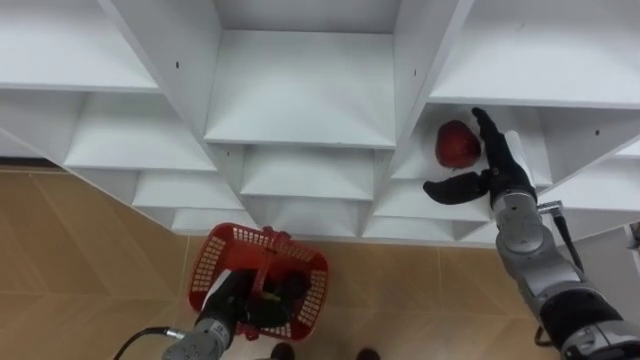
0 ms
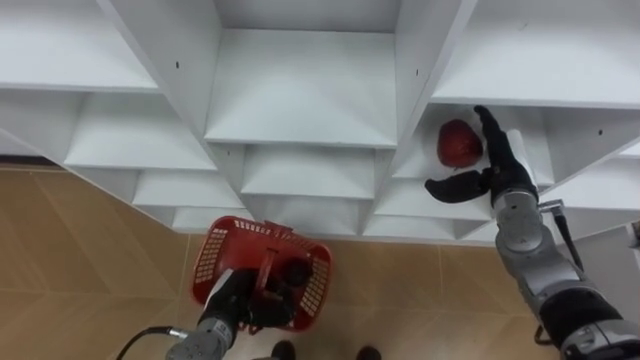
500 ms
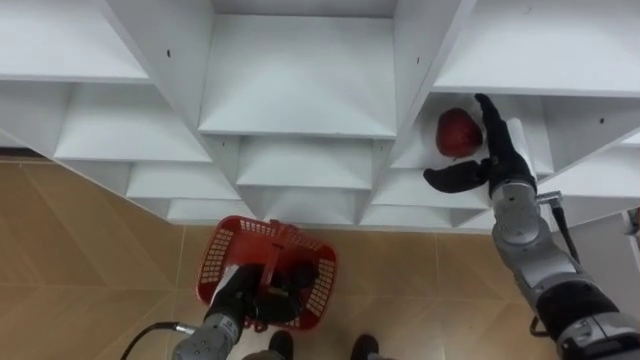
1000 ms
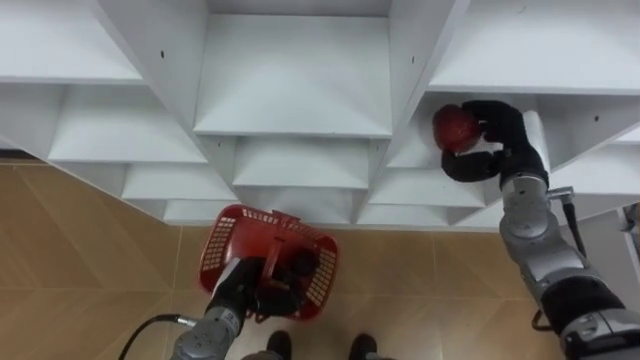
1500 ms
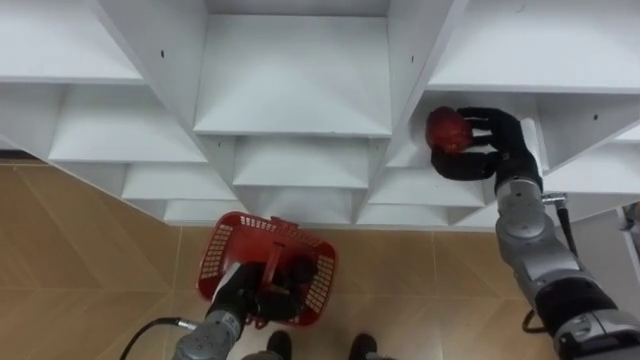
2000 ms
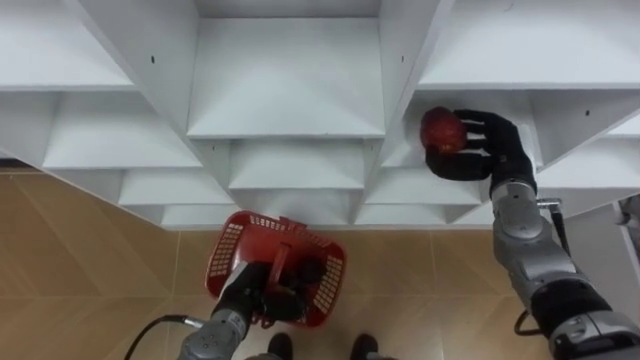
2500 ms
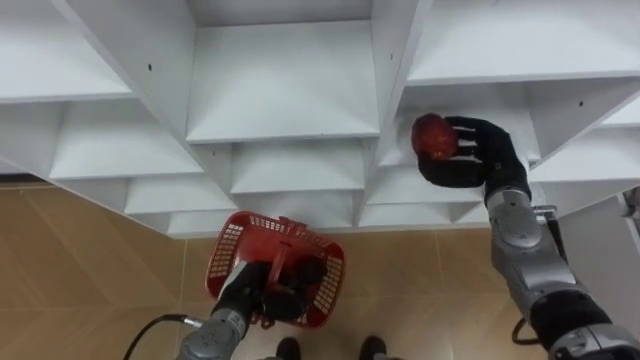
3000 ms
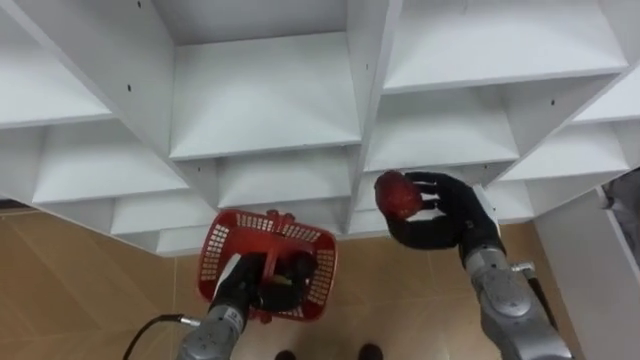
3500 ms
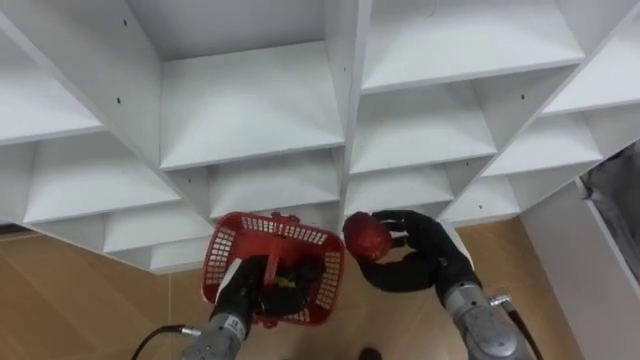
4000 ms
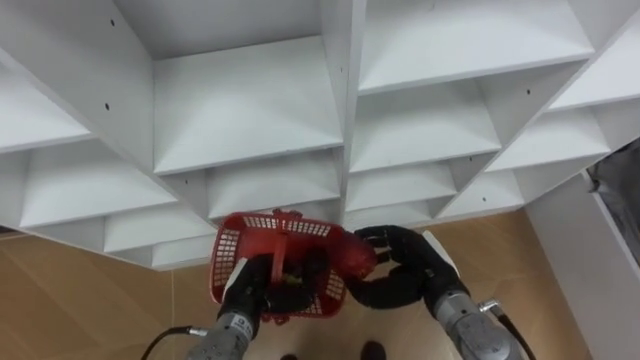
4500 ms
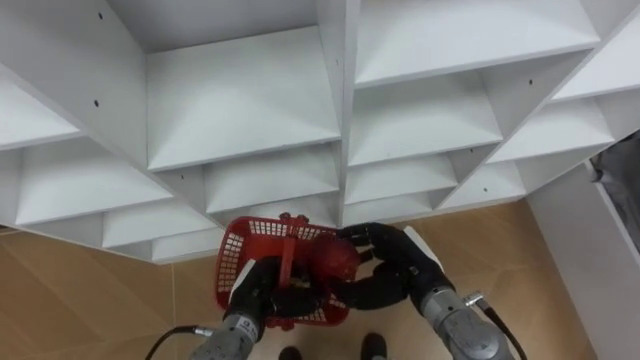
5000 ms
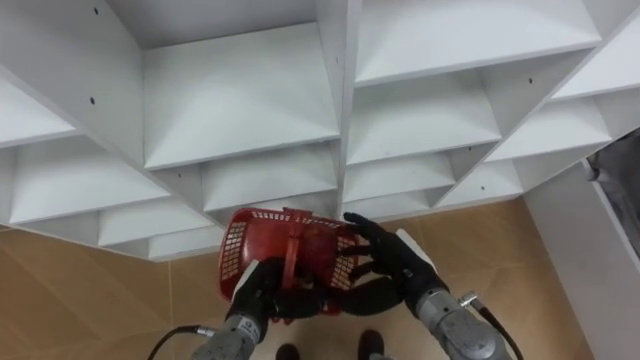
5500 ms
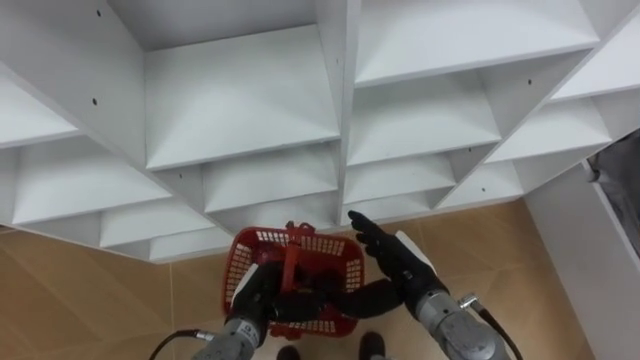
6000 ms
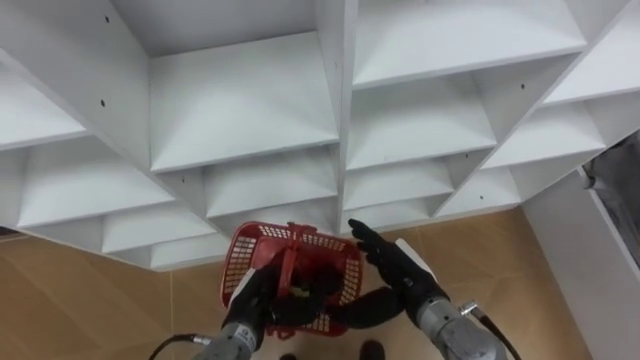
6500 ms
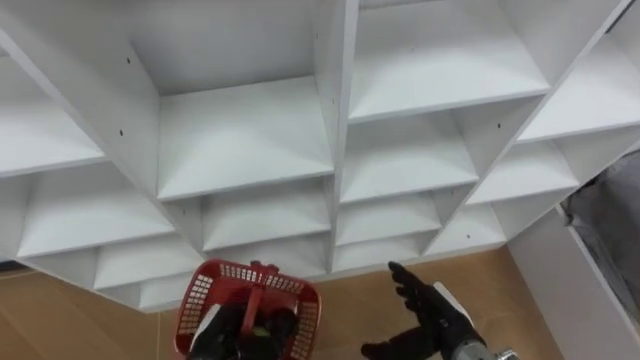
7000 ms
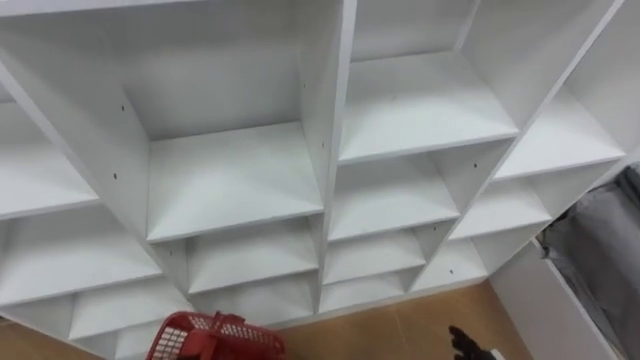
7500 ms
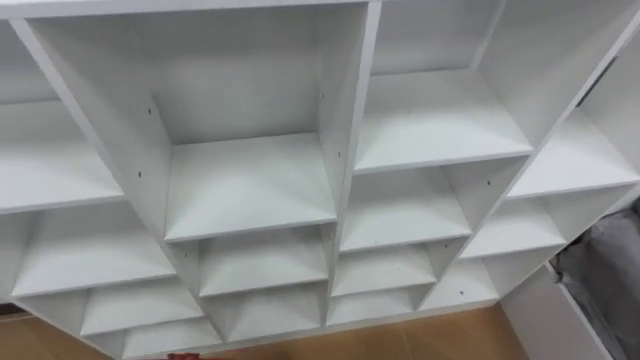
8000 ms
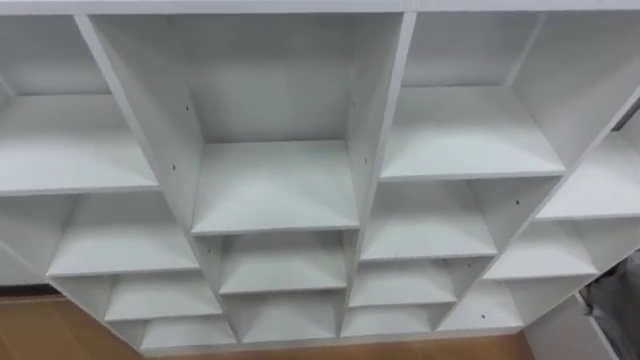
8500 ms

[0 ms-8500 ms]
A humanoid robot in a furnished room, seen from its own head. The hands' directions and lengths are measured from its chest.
Task of the whole recording: Hold the basket and collect the fruits from 3 different cells of the closet into it.
0 ms to 2000 ms: The right hand closes.
2000 ms to 4000 ms: The right hand goes about 15 cm backward, to the left and downward.
4000 ms to 6500 ms: The right hand travels to the left by some 5 cm, and opens up.

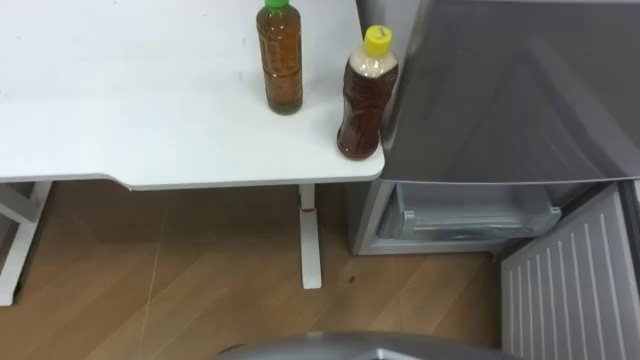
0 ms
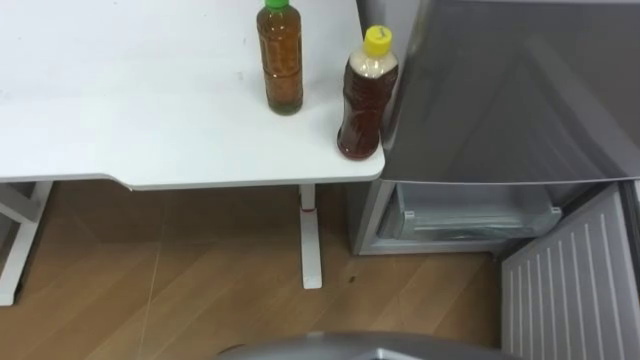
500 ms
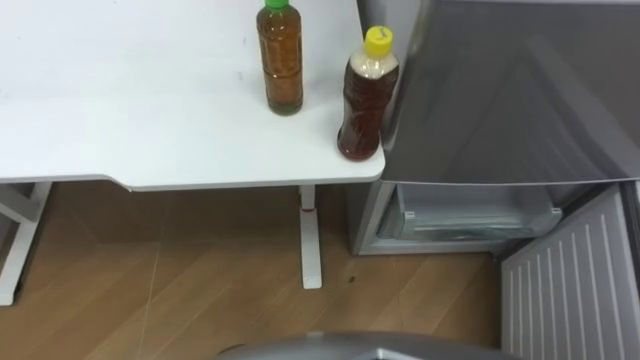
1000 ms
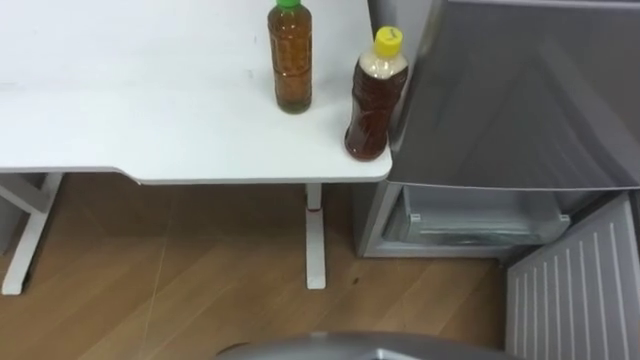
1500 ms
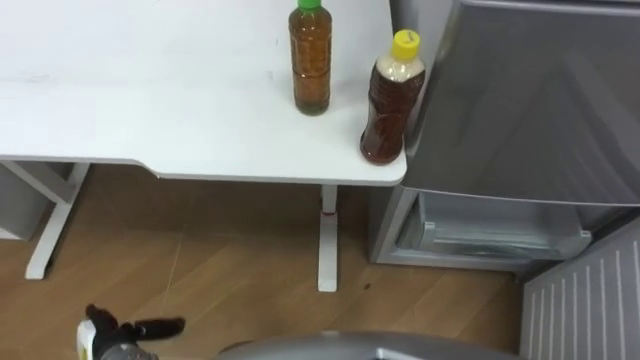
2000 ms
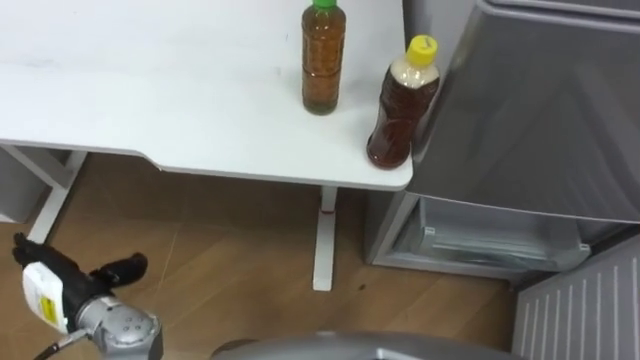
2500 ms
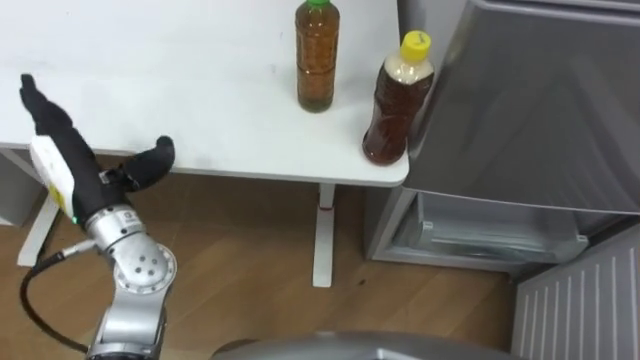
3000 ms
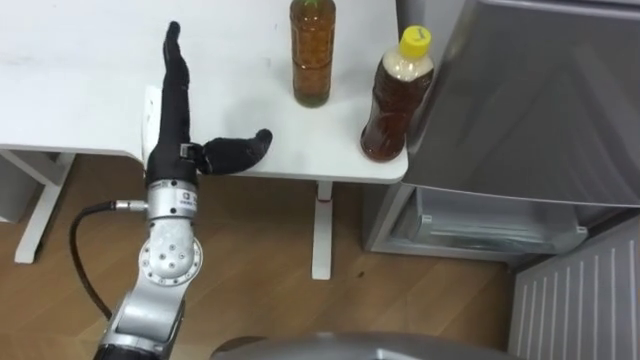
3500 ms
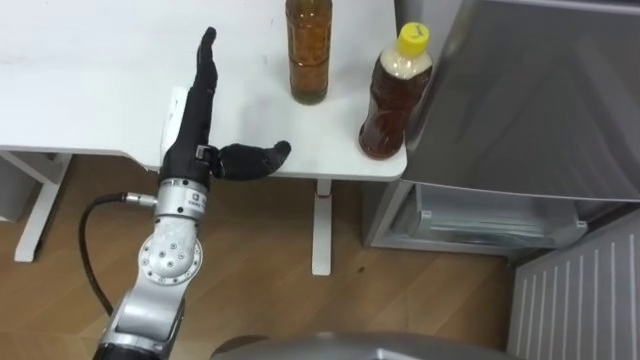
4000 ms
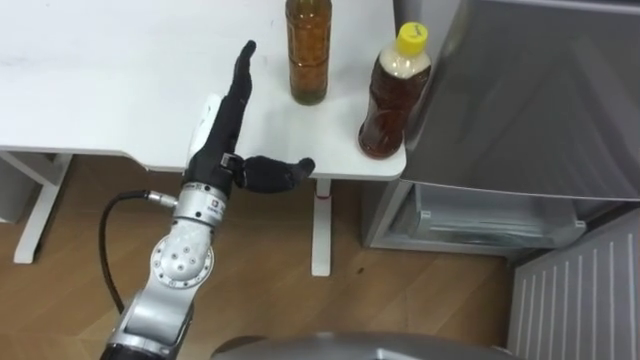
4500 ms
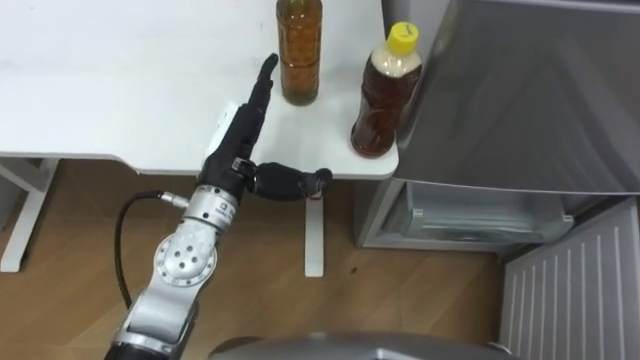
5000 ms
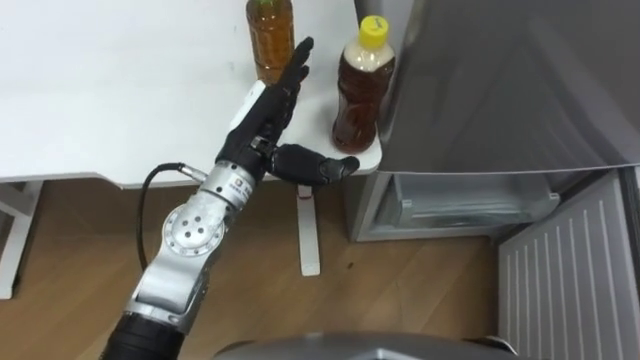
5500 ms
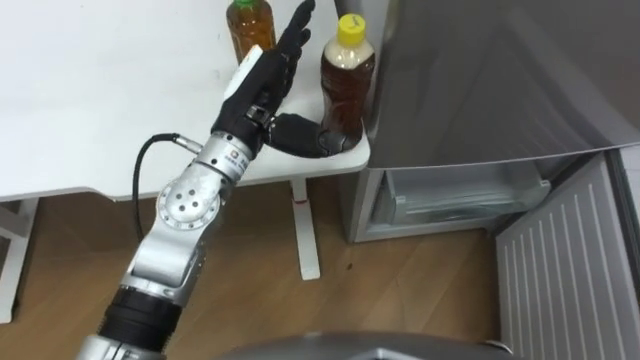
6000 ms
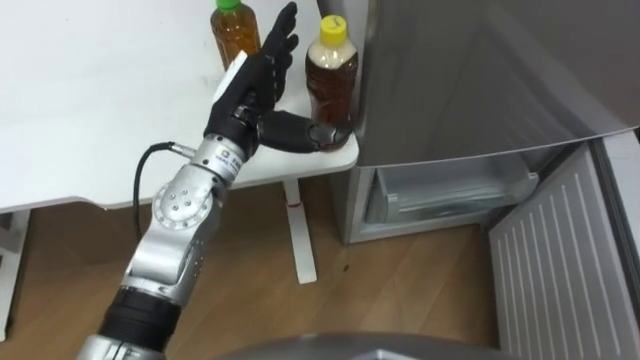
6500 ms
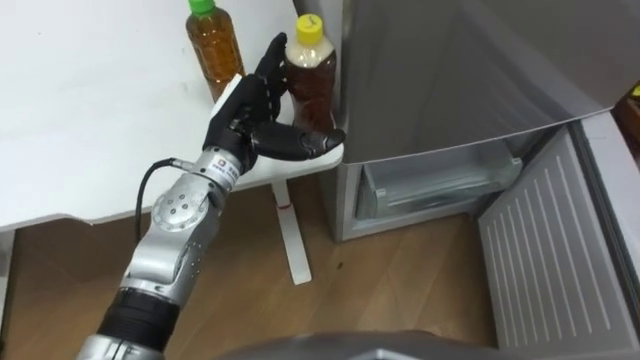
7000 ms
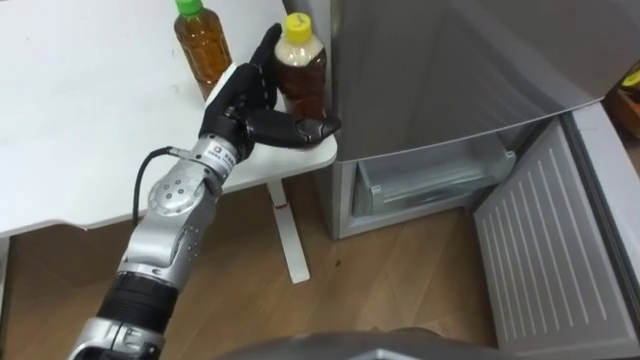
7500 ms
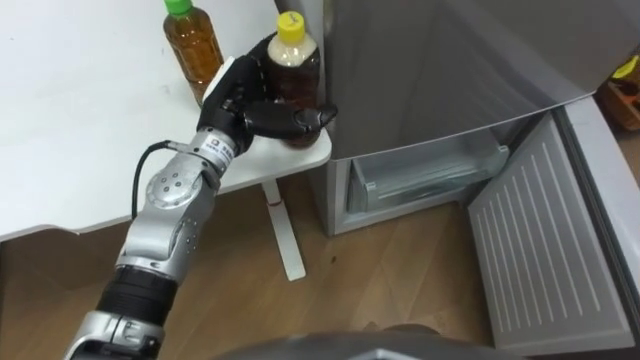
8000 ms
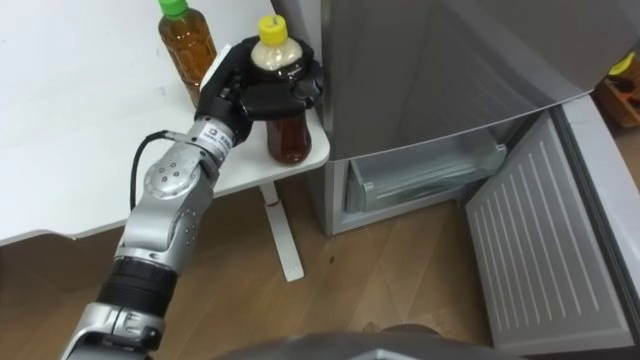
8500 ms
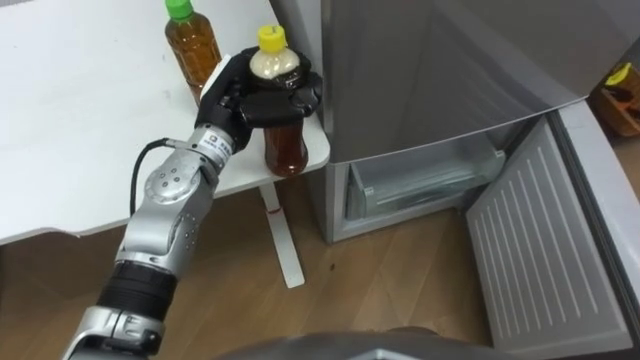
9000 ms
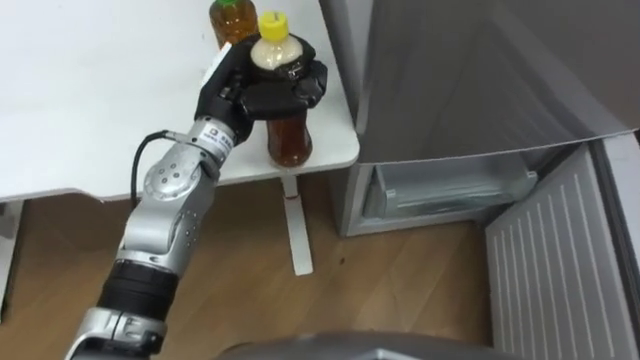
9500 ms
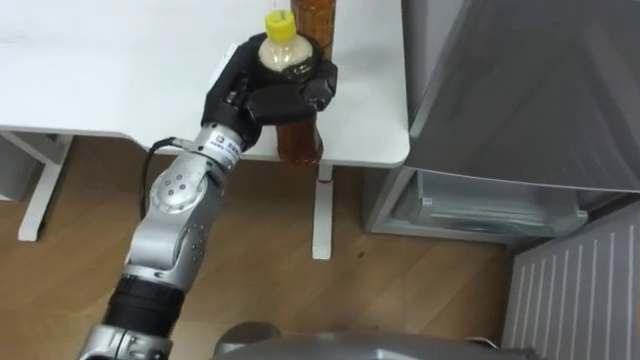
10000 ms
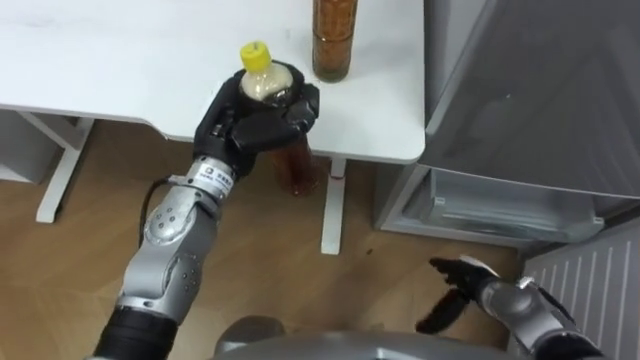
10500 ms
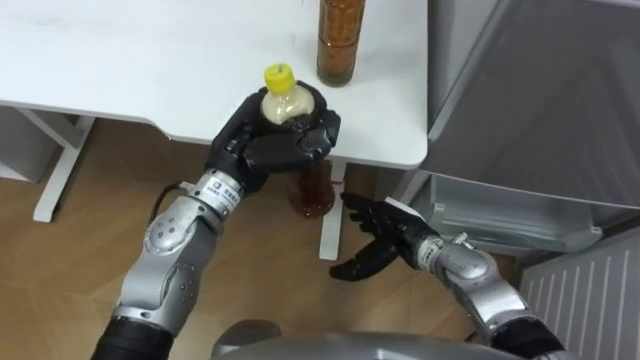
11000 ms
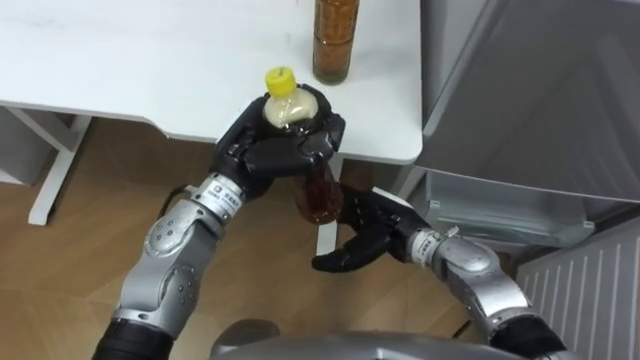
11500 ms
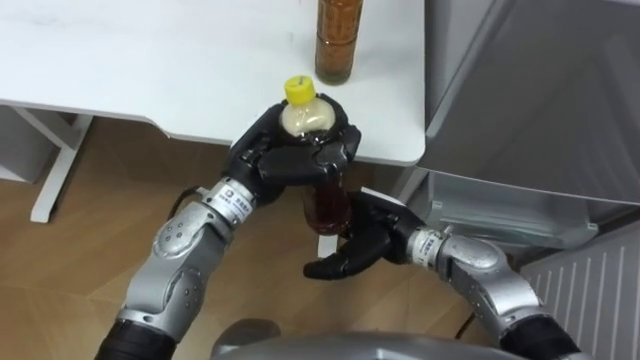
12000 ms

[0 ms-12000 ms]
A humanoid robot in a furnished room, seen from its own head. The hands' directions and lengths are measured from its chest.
Task of the whole recording: Place the drink on the table on the bottom shelf of the refrigerator, then close the drawer and the refrigerator door.
2000 ms to 4000 ms: The left hand heads upward, forward and to the right, covering some 35 cm.
4000 ms to 6000 ms: The left hand is displaced to the right by approximately 10 cm.
8000 ms to 10000 ms: The left hand closes.
10000 ms to 12000 ms: The left hand travels backward by some 5 cm.
